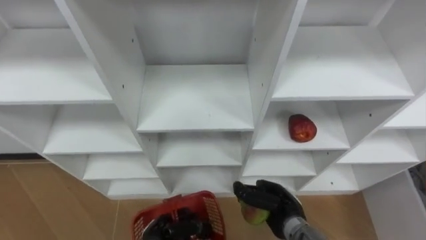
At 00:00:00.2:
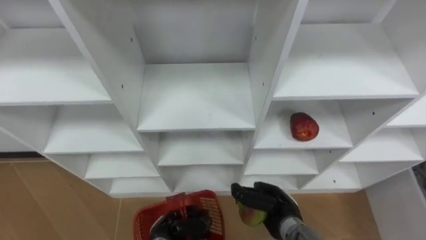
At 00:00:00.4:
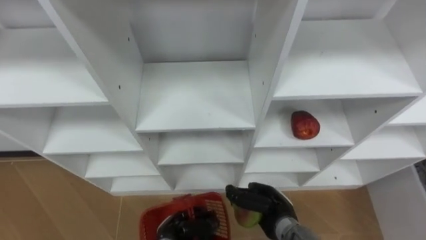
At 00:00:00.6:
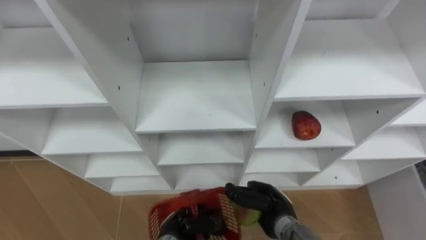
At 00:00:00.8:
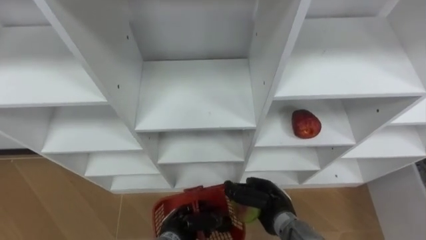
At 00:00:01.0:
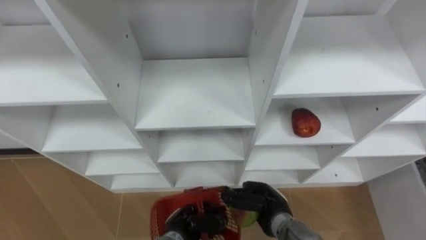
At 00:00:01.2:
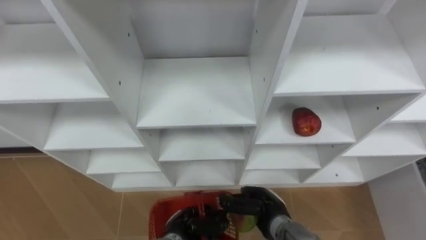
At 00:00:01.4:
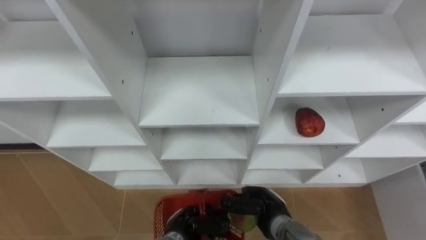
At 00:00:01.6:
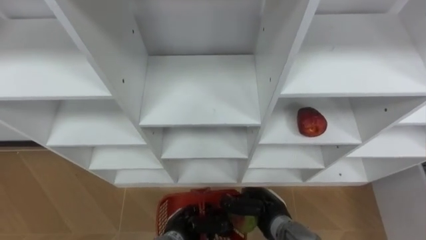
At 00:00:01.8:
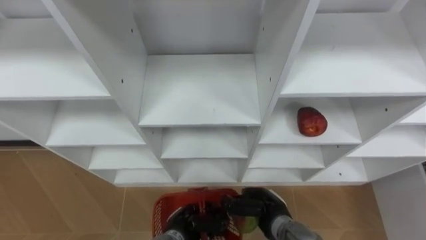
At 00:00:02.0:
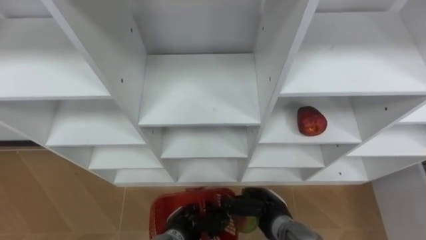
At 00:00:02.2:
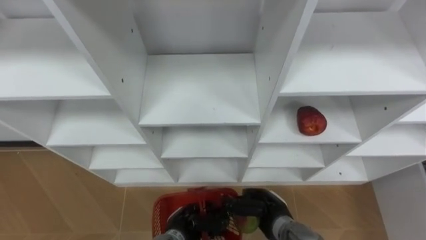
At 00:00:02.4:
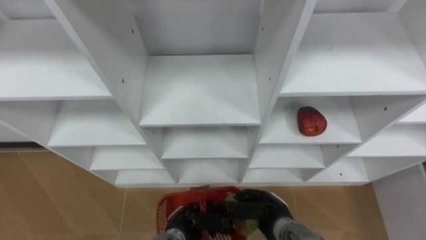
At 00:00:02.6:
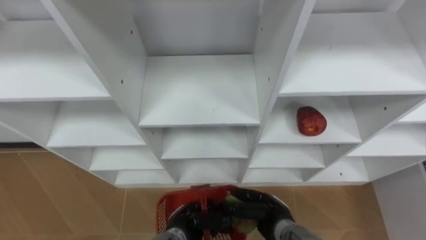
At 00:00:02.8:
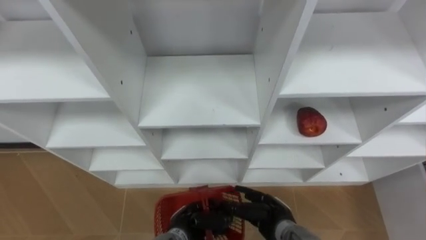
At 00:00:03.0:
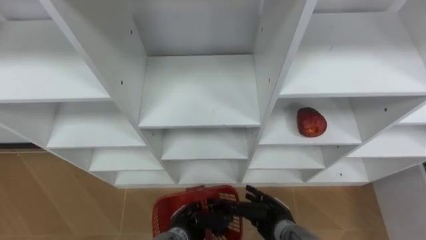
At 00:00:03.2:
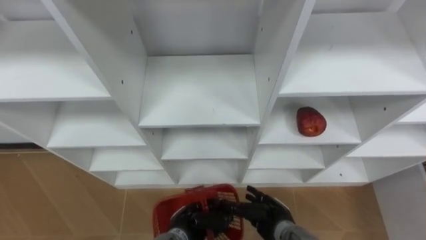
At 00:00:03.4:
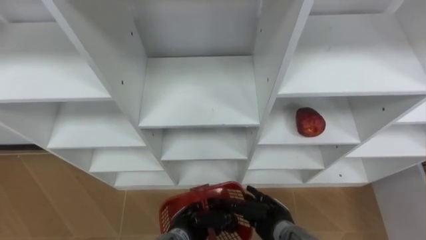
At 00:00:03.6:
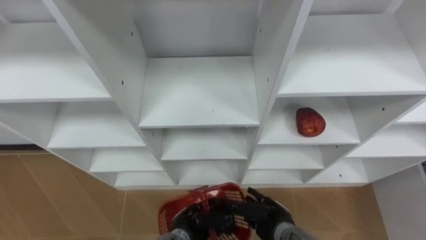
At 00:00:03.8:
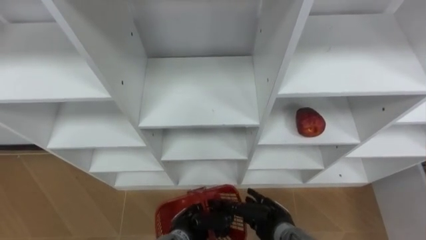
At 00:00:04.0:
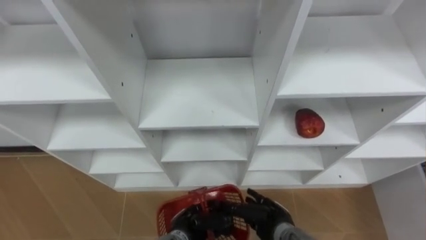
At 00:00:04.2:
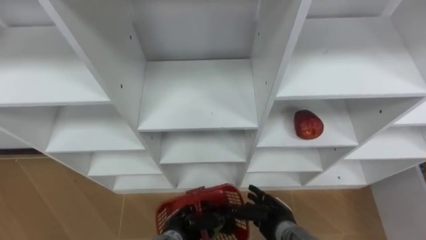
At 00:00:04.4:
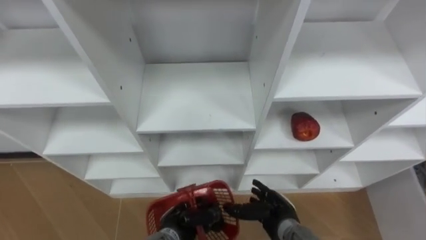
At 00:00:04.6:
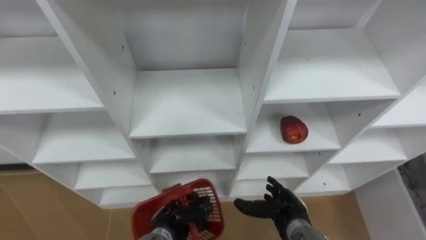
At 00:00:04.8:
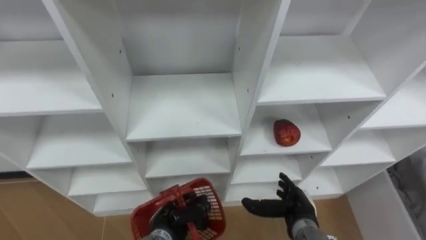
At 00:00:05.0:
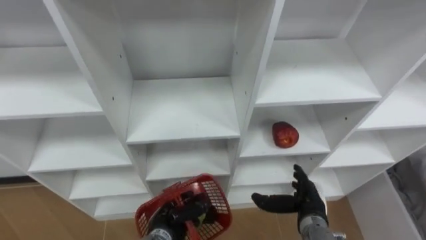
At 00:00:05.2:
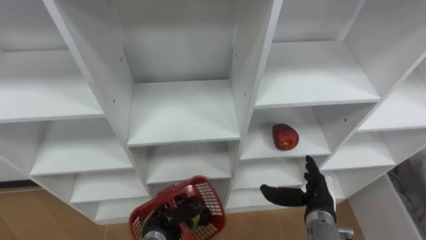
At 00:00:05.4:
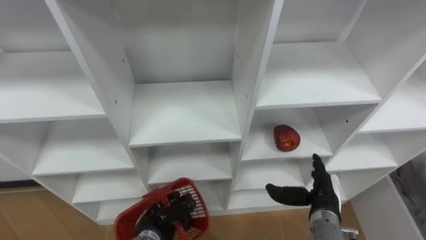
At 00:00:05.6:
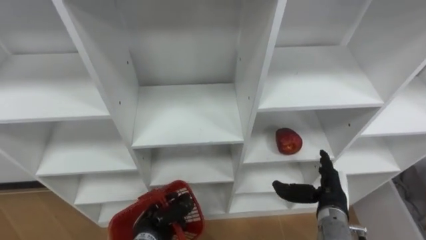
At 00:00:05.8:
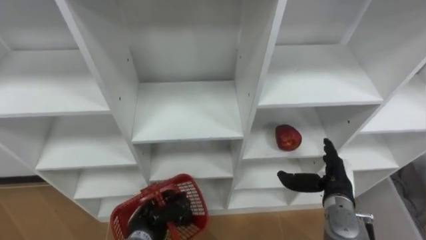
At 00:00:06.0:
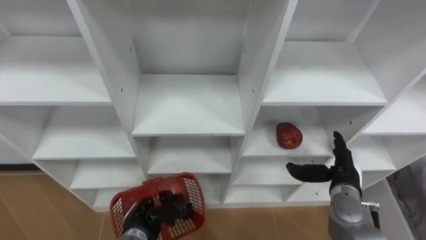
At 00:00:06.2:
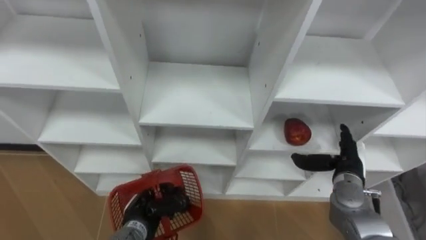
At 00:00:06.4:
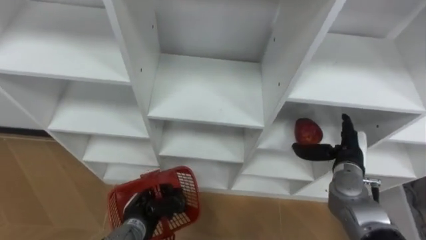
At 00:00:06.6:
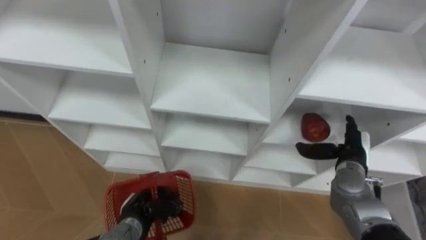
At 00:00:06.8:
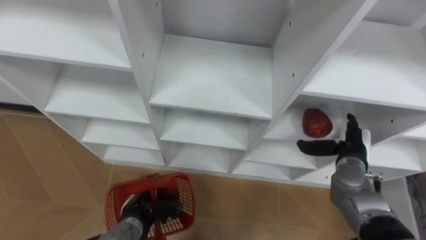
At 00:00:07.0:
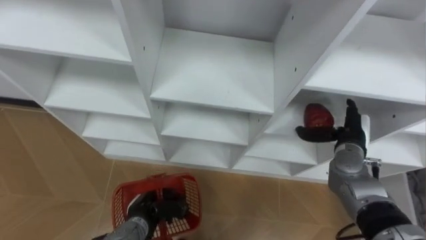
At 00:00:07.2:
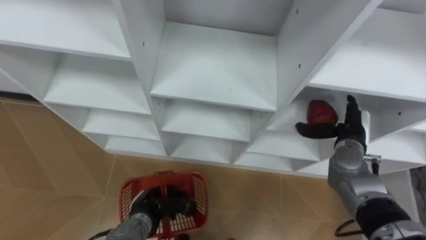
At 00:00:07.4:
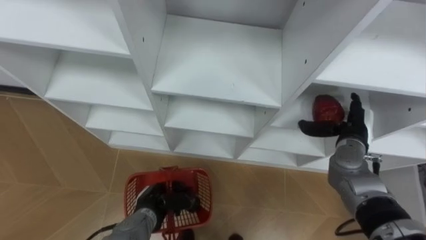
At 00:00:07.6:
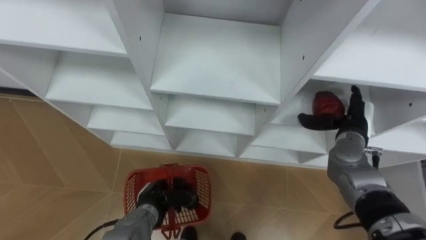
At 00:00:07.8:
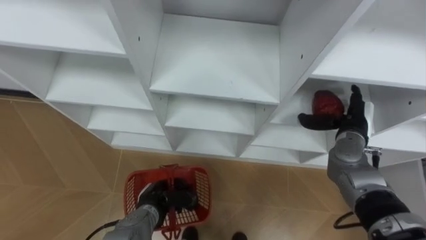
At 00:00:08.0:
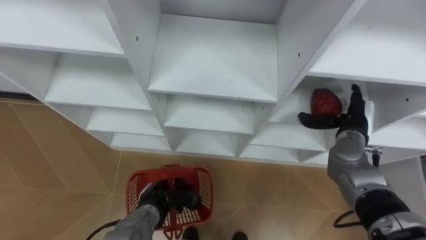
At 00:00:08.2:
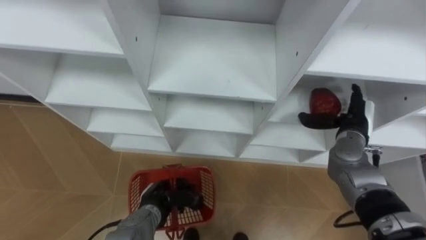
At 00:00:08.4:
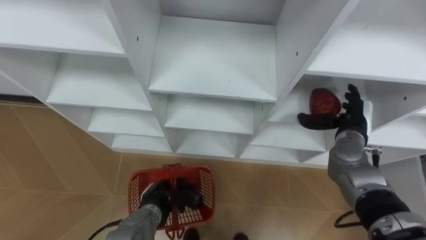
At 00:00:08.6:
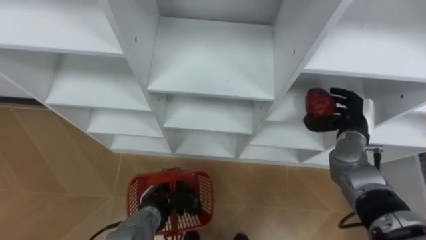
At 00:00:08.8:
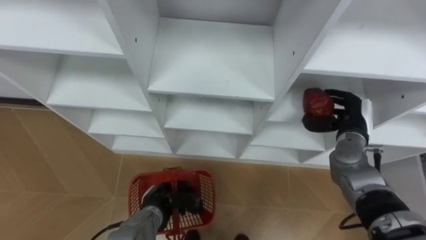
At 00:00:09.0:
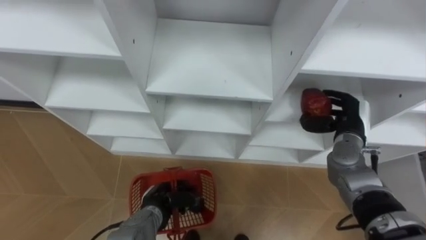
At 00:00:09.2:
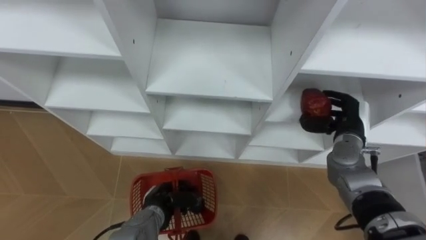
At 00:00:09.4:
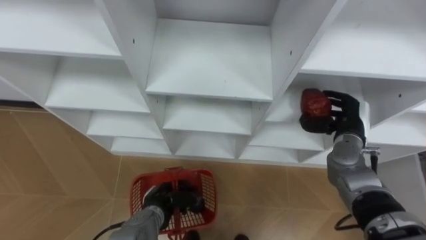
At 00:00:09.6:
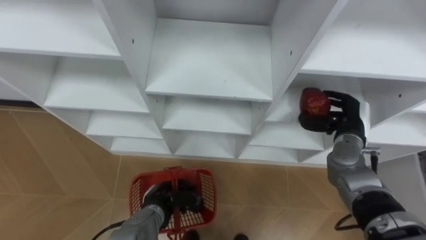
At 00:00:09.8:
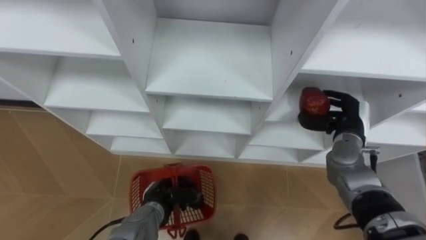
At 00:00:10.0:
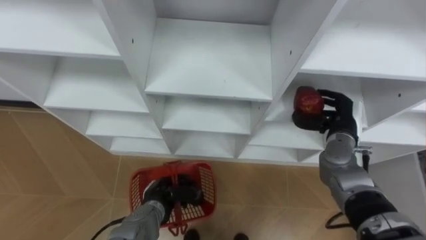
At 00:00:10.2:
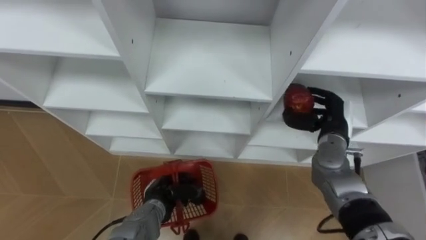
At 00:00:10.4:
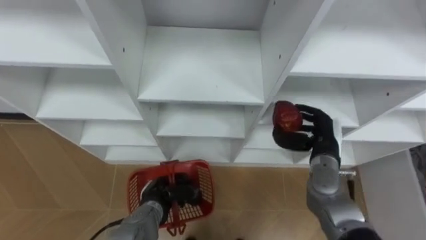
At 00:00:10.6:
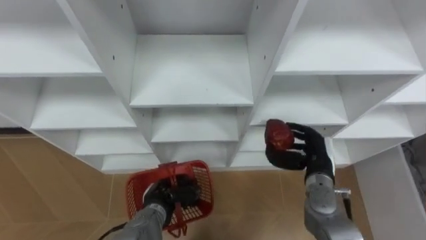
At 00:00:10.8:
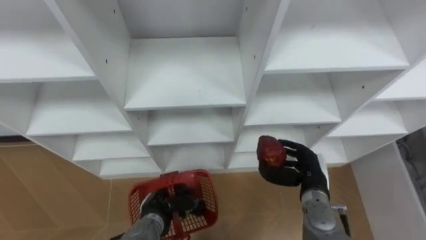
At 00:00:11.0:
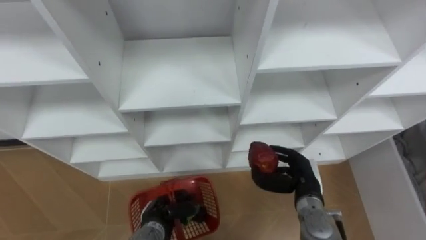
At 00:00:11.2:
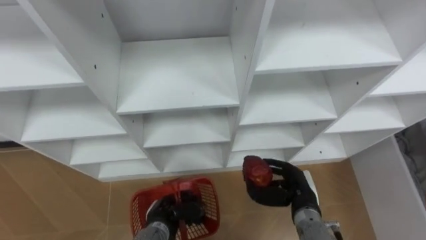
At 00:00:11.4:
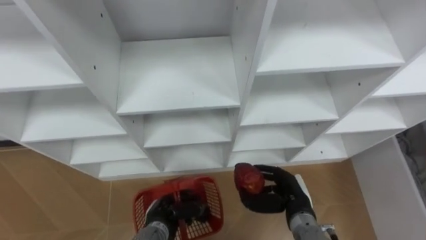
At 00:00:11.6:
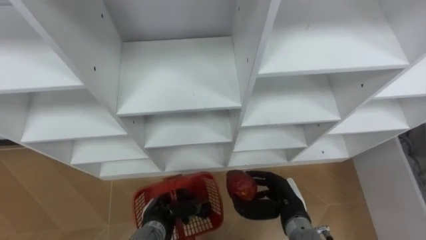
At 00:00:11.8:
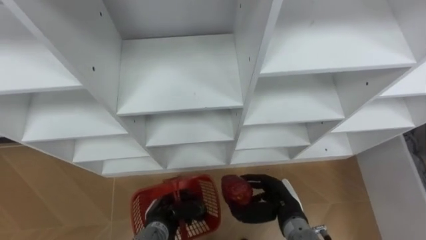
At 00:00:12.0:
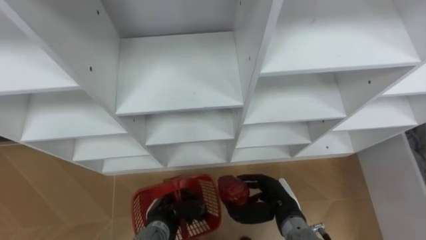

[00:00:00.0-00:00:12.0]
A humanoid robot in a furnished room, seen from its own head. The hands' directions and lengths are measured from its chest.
Task of the whole recording: Hold the basket and collect the fruits from 3 different cells of the closet into it.
00:00:00.0 to 00:00:01.6: The left hand heads to the right, covering some 5 cm.
00:00:01.6 to 00:00:03.0: The right hand opens up.
00:00:04.4 to 00:00:06.0: The left hand moves to the left, some 10 cm. The right hand travels to the right and upward by some 15 cm.
00:00:06.0 to 00:00:07.6: The left hand shifts by approximately 5 cm. Meanwhile the right hand moves forward and upward, approximately 10 cm.
00:00:07.6 to 00:00:09.0: The right hand closes its fingers.
00:00:09.0 to 00:00:10.4: The right hand goes about 5 cm to the left.
00:00:10.4 to 00:00:12.0: The right hand is displaced backward, to the left and downward by about 15 cm.

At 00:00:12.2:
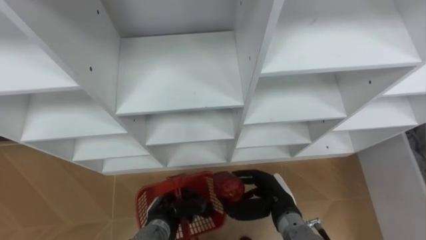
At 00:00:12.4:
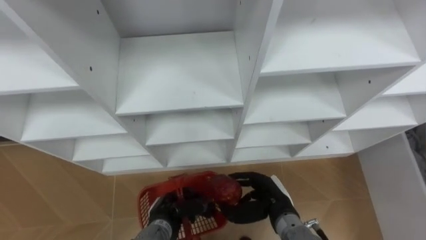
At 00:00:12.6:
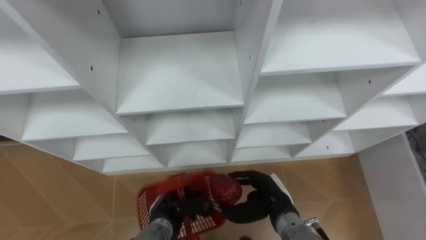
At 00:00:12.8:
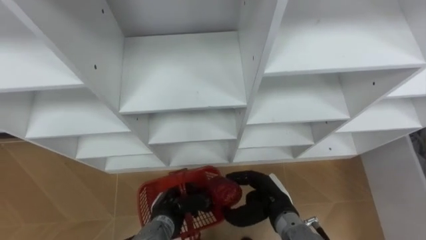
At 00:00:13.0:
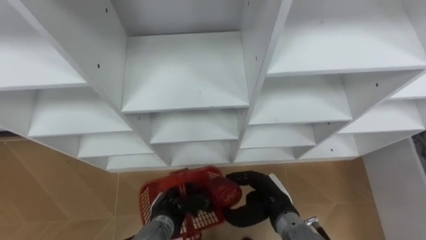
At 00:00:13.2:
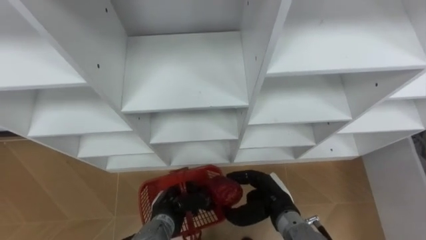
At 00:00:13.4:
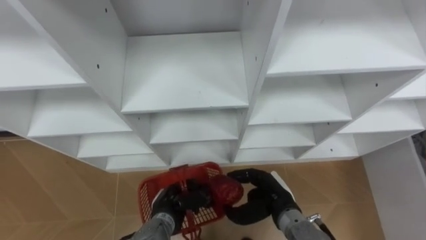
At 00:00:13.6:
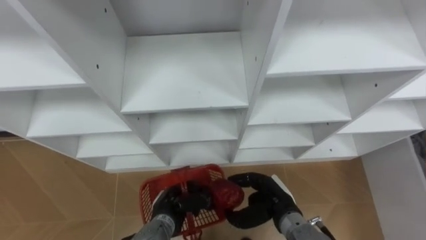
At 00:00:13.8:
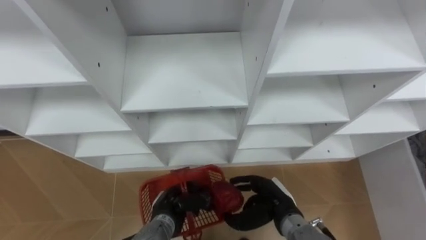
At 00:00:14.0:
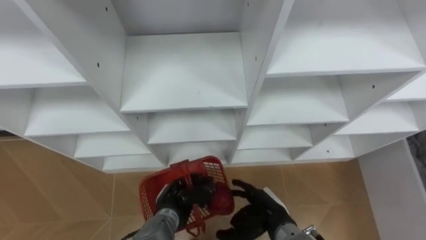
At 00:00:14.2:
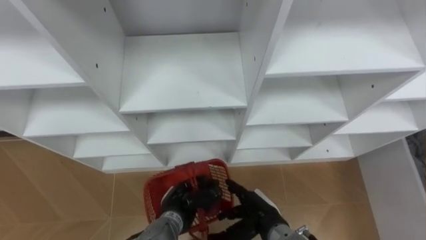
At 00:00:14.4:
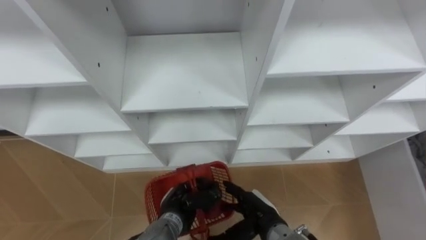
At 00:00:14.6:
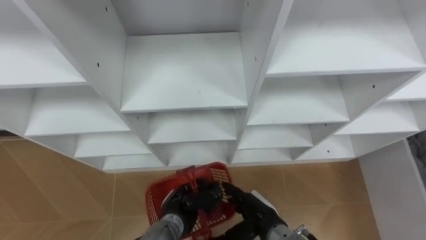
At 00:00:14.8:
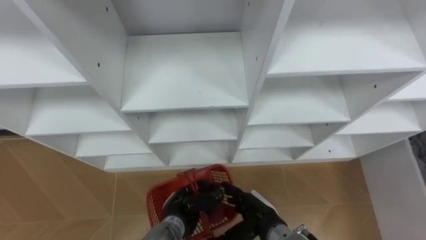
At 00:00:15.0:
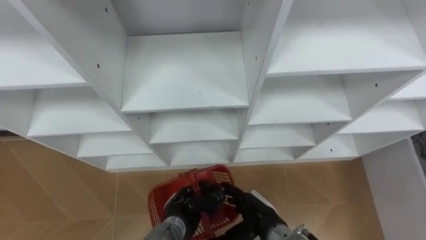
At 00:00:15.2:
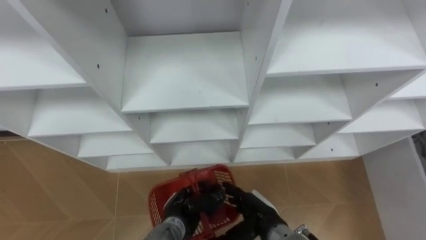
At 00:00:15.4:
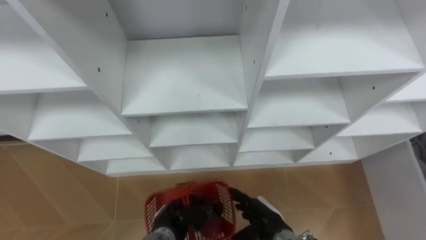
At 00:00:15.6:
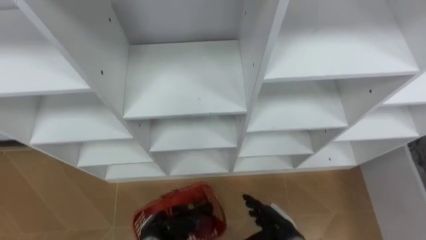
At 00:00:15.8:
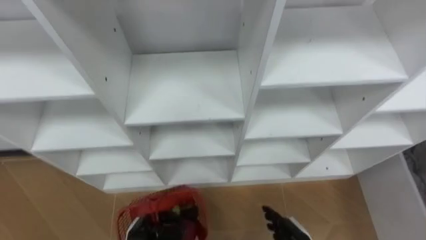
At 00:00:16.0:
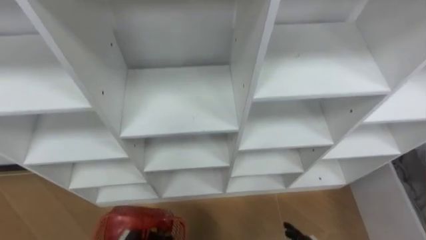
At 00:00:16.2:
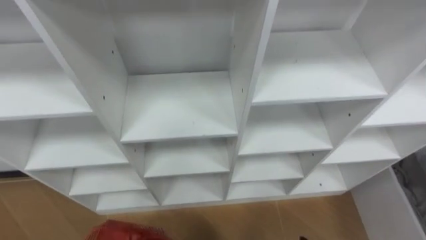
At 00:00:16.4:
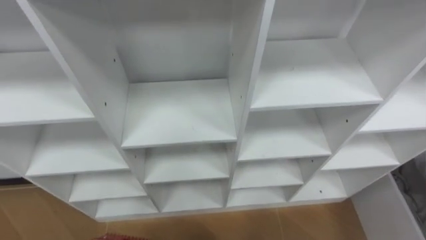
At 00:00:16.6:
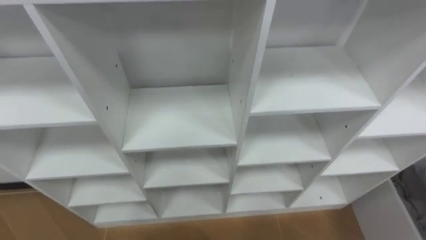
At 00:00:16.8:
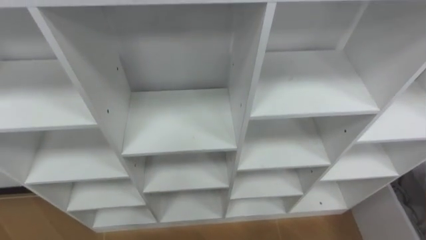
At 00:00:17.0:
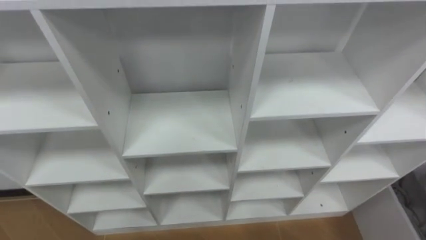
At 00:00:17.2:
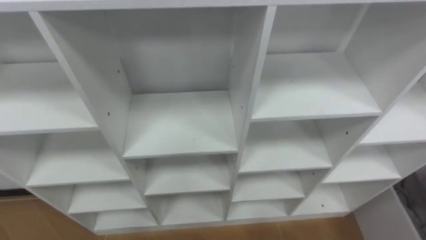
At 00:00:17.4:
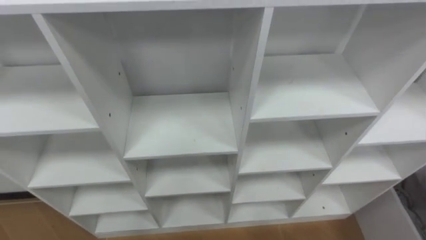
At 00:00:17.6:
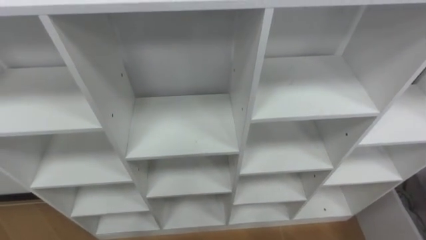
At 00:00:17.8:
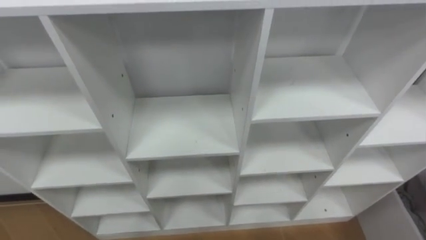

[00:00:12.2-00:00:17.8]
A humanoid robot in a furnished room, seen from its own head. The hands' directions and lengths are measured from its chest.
Task of the whole recording: Hold the basket and collect the fruits from 3 different cells of the closet into it.
00:00:12.2 to 00:00:13.6: The hands move only a little.
00:00:13.6 to 00:00:15.0: The right hand opens.
